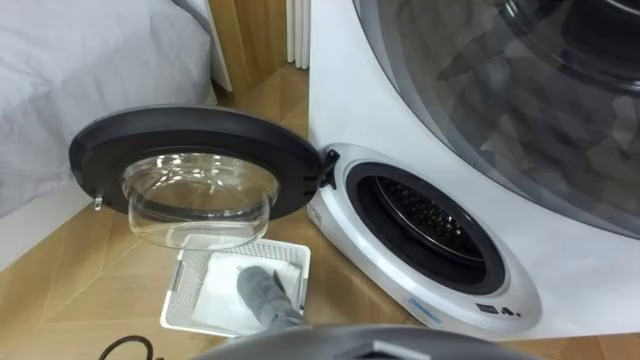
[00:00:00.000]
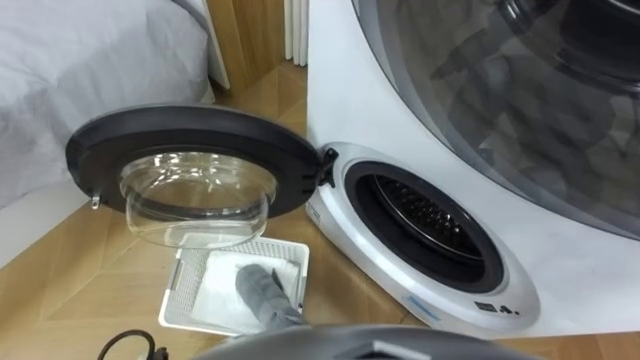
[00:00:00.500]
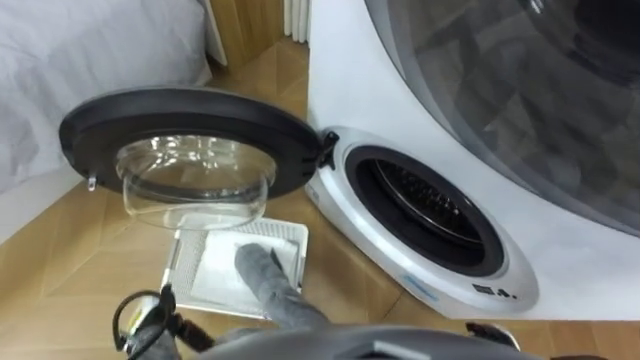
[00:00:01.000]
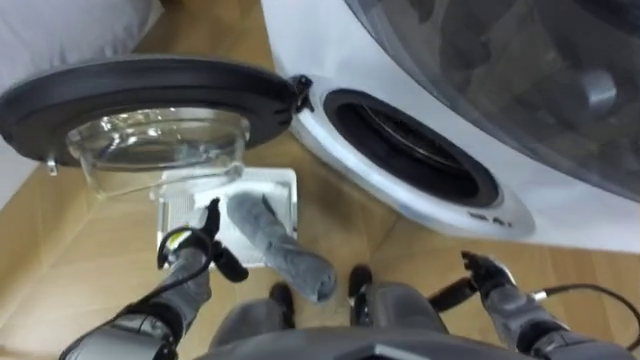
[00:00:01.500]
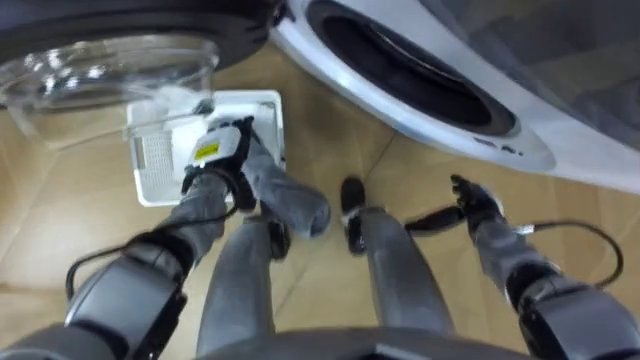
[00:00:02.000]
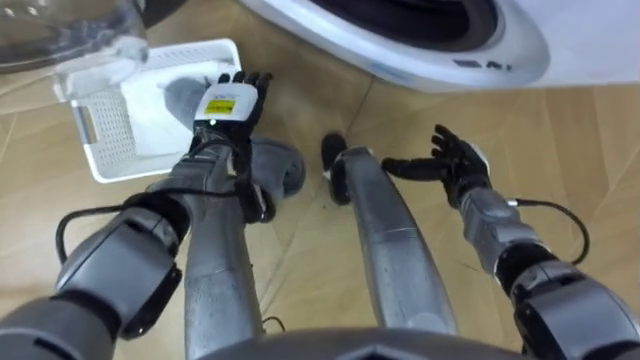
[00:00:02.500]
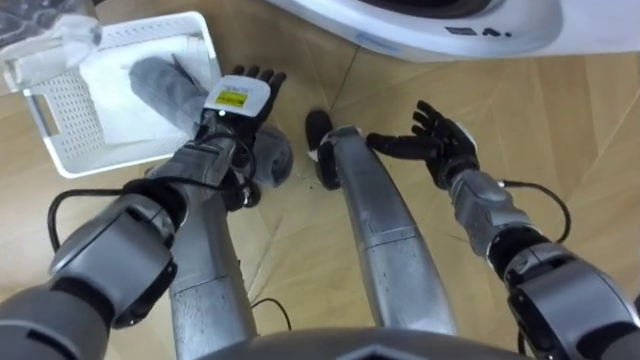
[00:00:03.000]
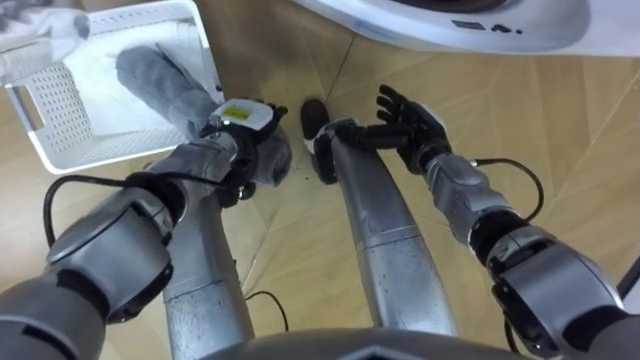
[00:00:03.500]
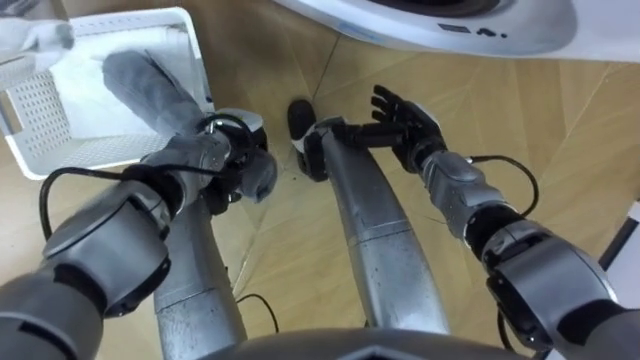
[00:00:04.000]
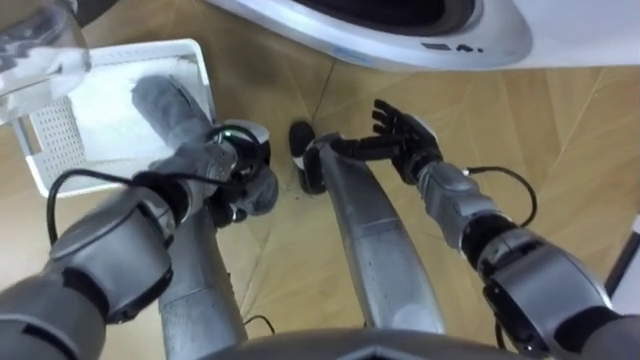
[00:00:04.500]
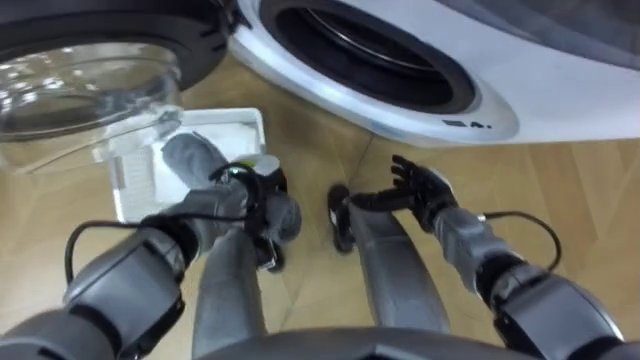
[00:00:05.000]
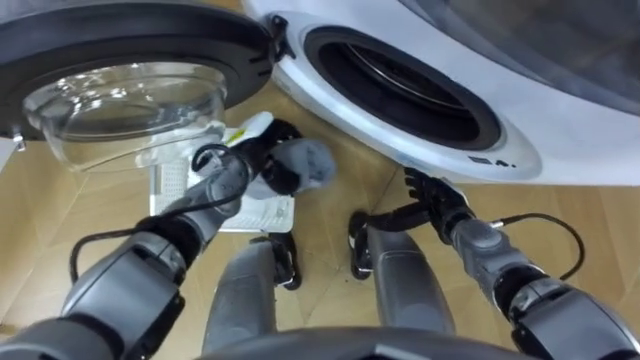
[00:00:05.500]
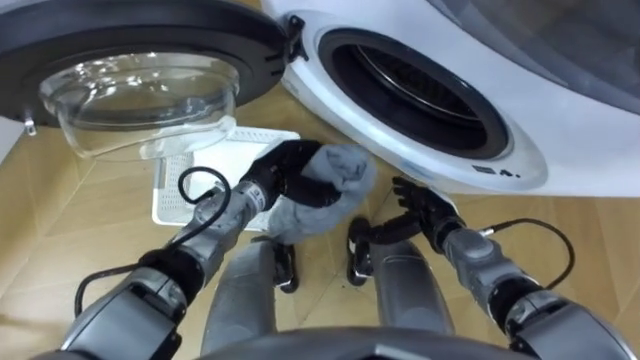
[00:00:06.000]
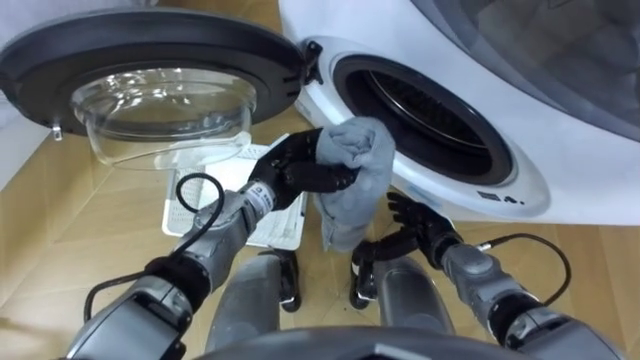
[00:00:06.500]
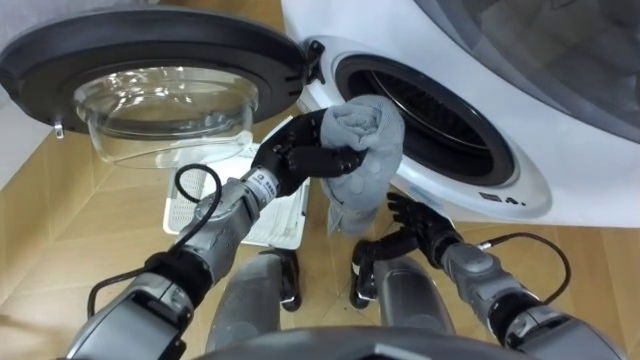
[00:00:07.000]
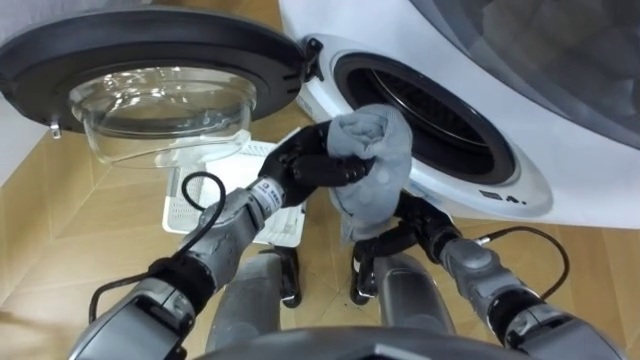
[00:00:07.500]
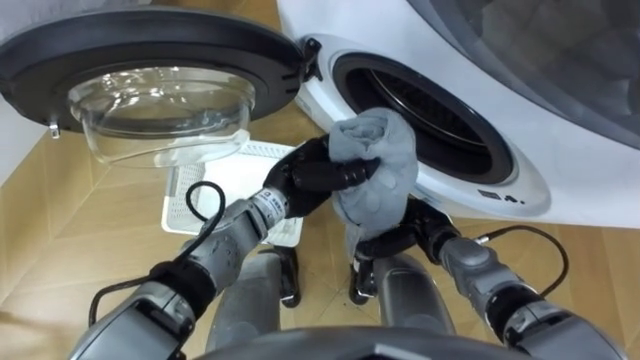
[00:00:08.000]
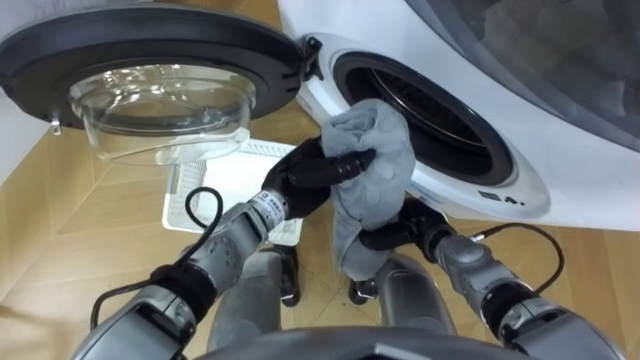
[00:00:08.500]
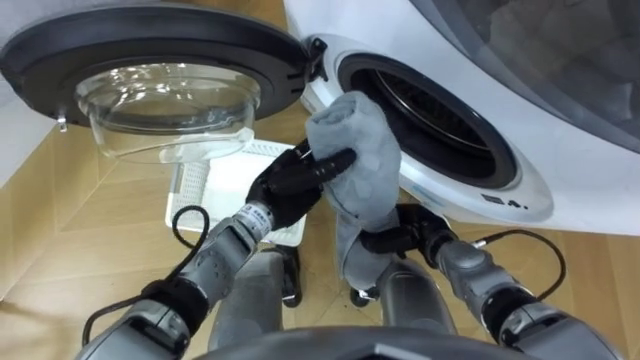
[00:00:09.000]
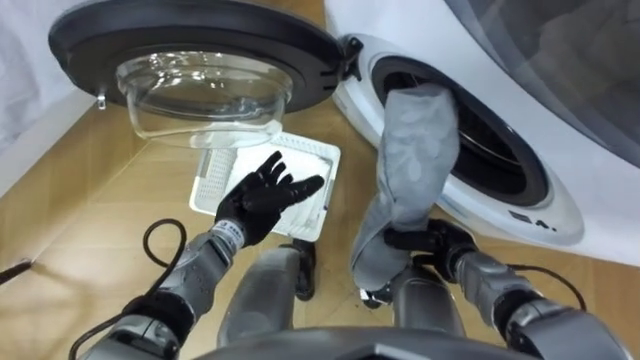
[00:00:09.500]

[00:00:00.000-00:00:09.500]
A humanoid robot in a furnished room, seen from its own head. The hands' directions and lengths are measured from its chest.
Task of the whole recording: Take the towel from the basket and put it into the washing machine.
00:00:02.000 to 00:00:04.000: The right hand is displaced to the left, forward and upward by about 15 cm. Meanwhile the left hand closes.
00:00:04.000 to 00:00:05.500: The right hand travels backward, downward and to the right by some 10 cm.
00:00:05.500 to 00:00:07.500: The left hand moves to the right, some 5 cm.
00:00:07.500 to 00:00:09.500: The right hand closes up. The left hand goes some 10 cm to the left and downward, and opens.

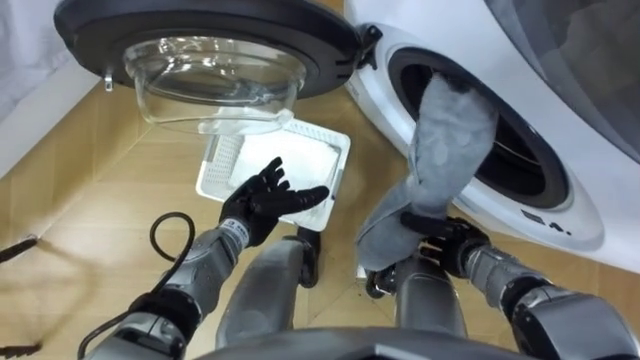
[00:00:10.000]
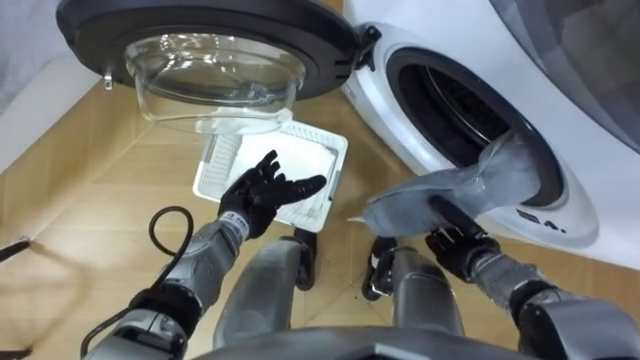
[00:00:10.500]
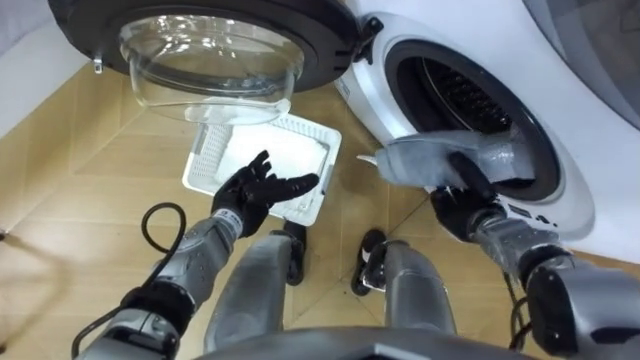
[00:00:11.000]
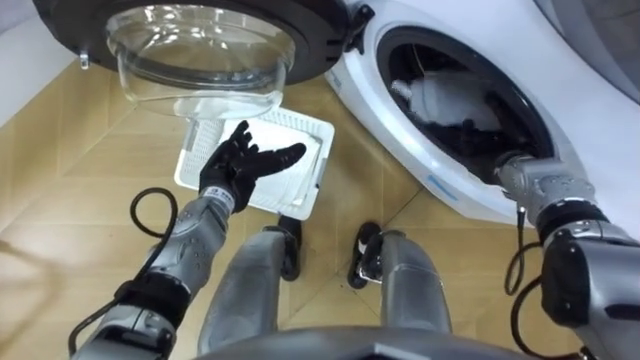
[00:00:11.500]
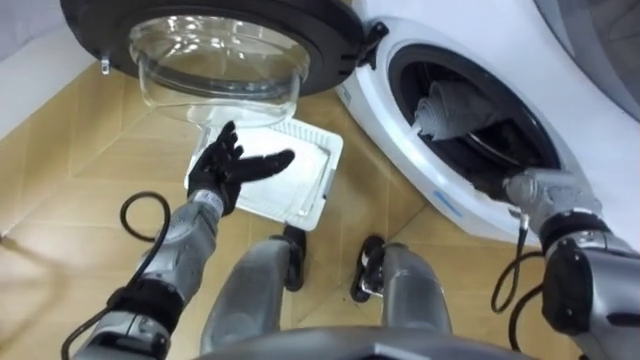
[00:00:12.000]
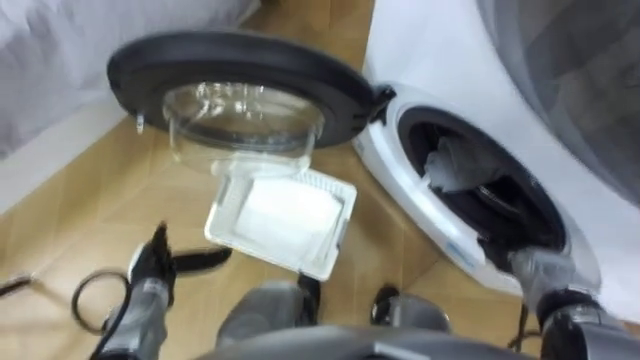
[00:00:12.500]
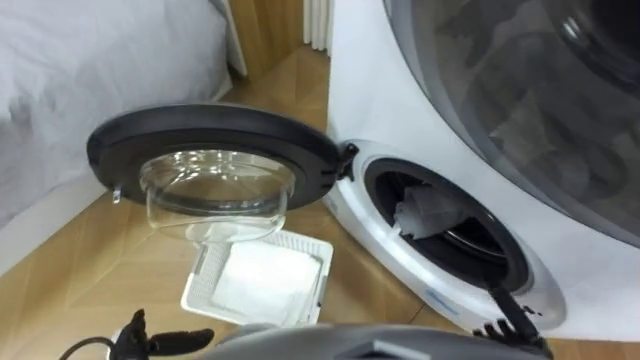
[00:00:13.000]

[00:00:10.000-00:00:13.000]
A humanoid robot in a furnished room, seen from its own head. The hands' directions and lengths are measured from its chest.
Task of the whole recording: Take the towel from the basket and put it into the washing machine.
00:00:10.000 to 00:00:11.500: The left hand ends up about 5 cm from where it was, while the right hand travels forward, upward and to the right by approximately 15 cm.
00:00:11.500 to 00:00:13.000: The left hand shifts about 30 cm backward, to the left and downward. The right hand is displaced backward and downward by roughly 30 cm, and opens its fingers.

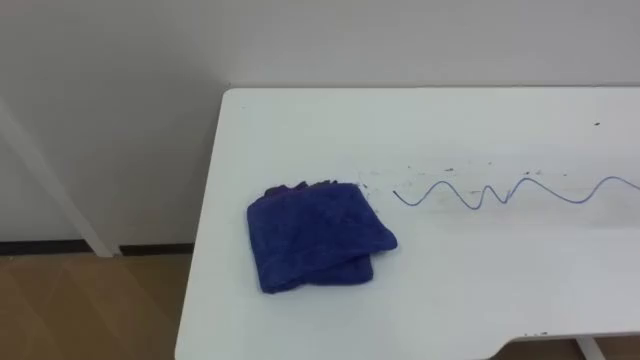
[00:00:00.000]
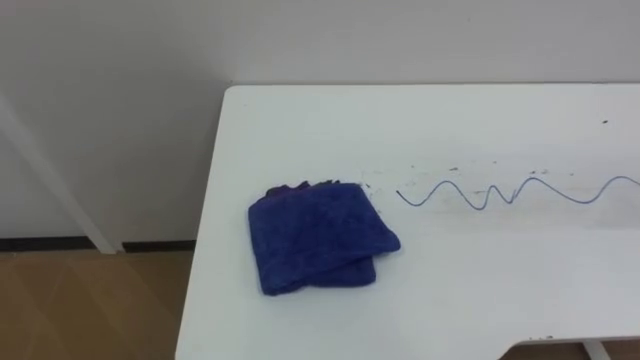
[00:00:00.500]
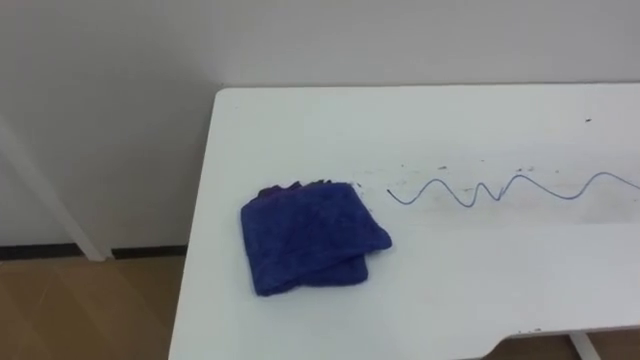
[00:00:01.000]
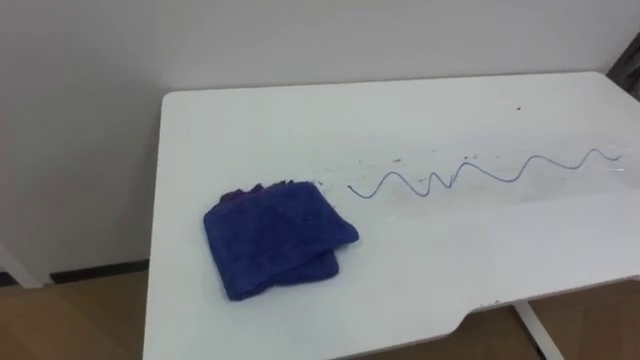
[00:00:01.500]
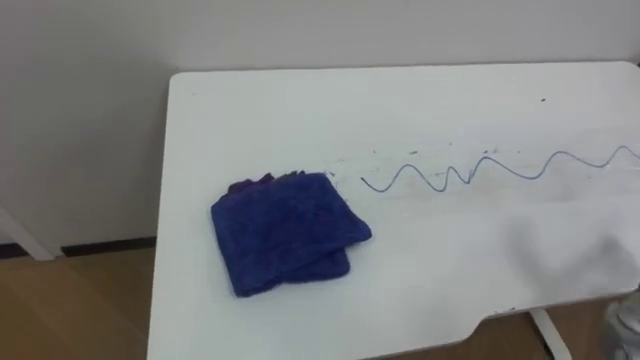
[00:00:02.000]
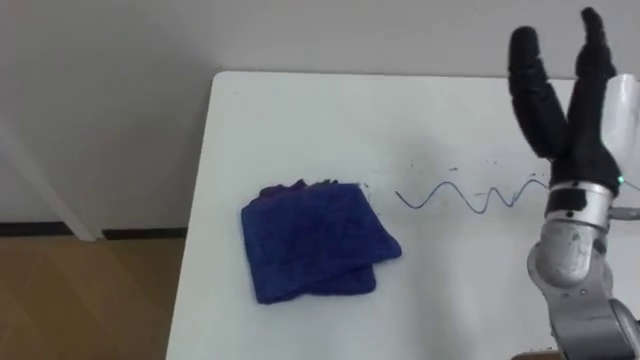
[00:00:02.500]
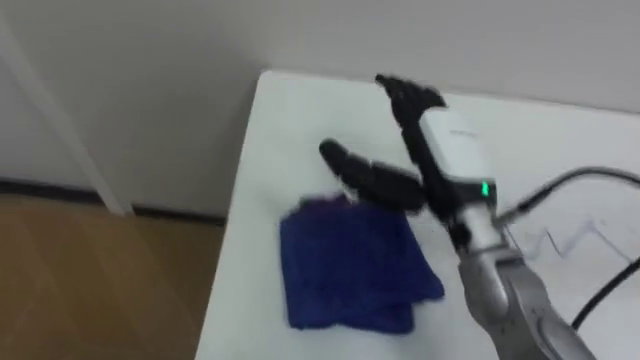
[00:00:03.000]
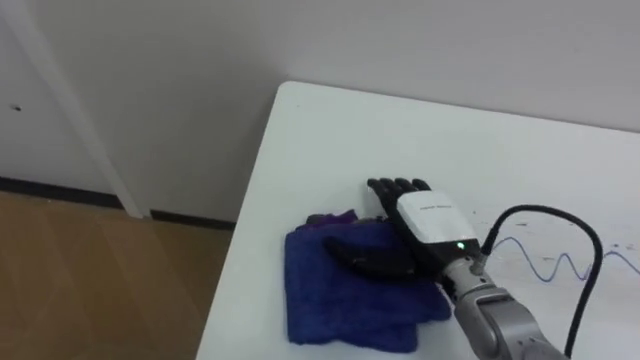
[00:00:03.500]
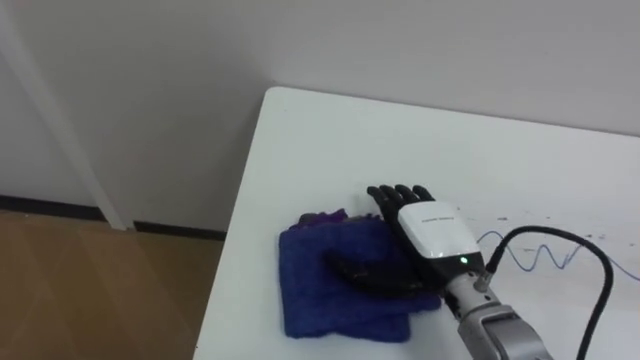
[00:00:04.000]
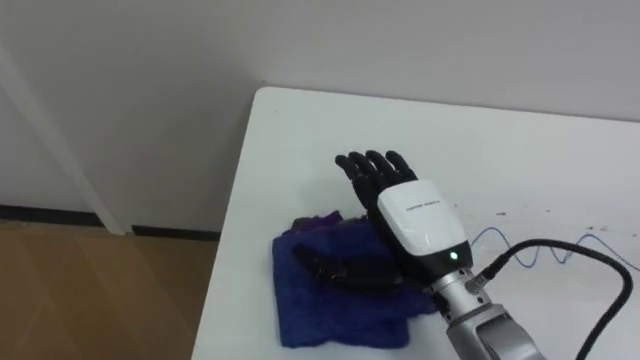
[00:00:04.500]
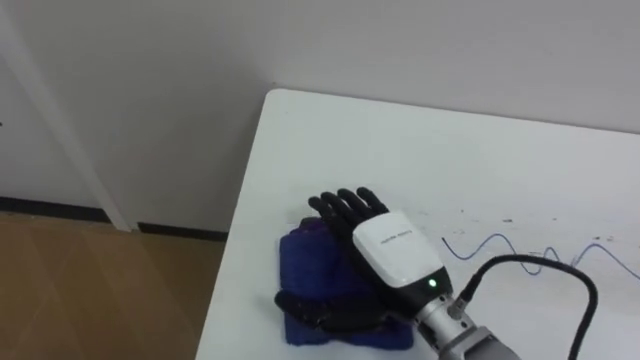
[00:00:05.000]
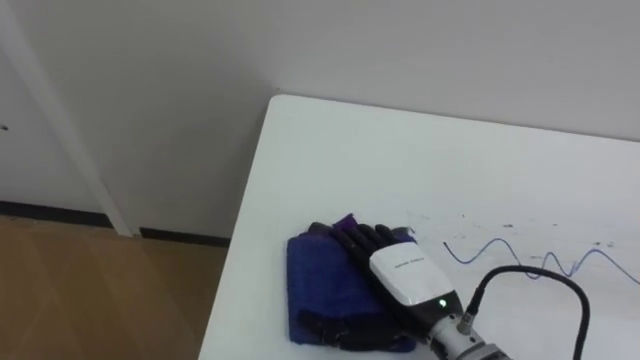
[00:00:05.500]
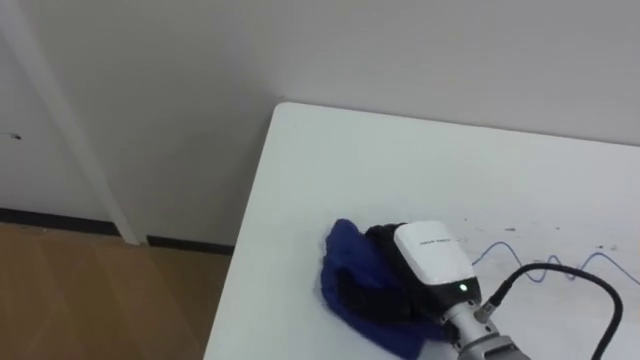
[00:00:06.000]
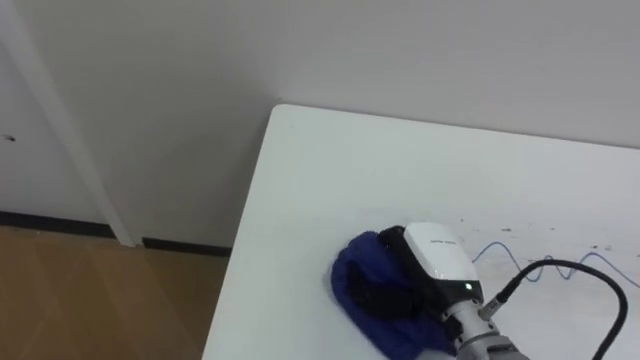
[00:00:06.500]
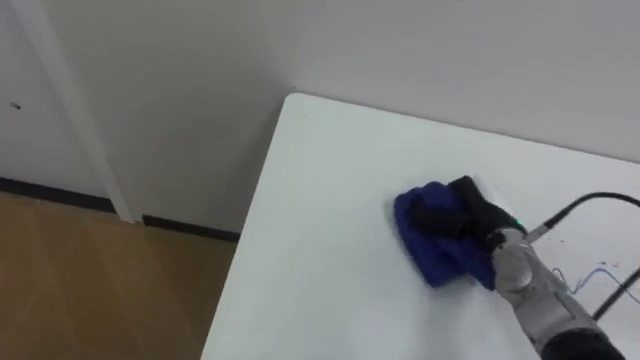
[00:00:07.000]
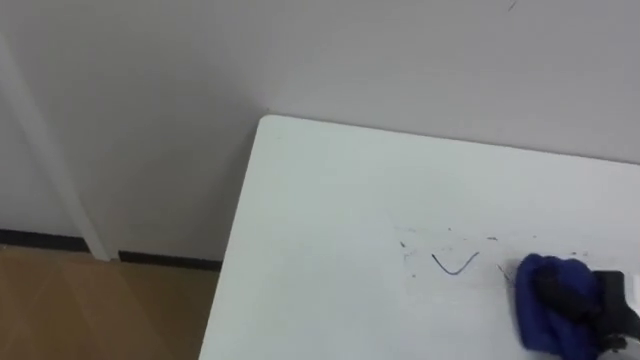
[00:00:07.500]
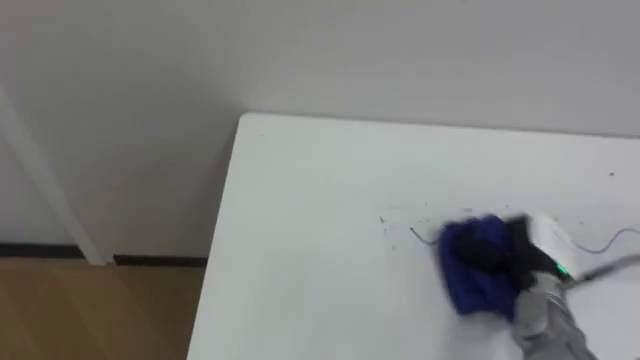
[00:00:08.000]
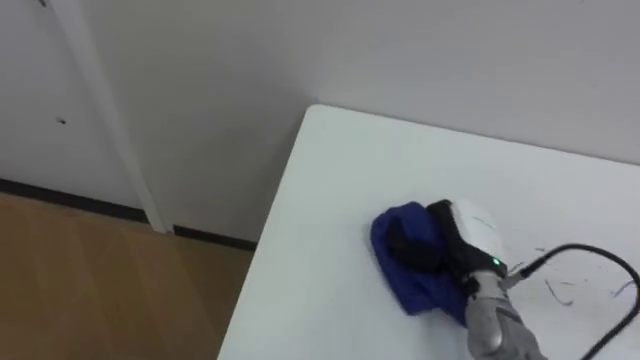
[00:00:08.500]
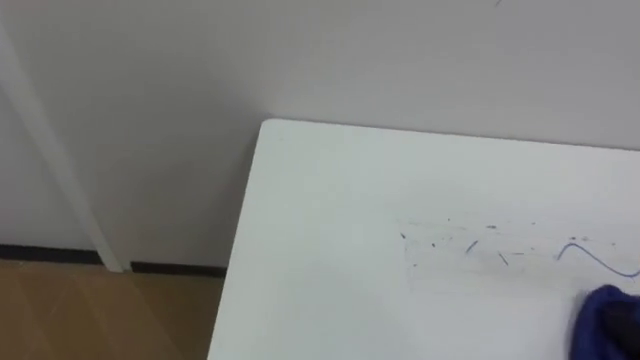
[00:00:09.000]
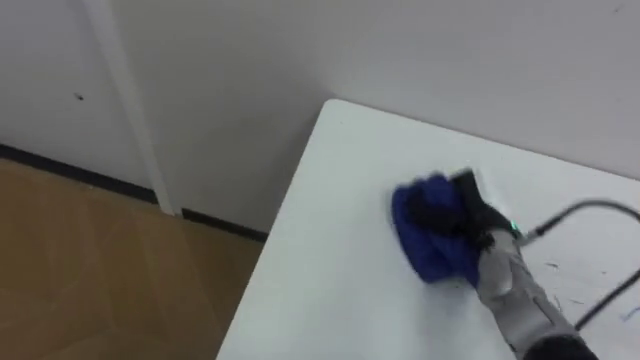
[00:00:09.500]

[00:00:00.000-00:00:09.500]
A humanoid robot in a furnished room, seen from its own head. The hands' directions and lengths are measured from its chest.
Task of the whole recording: Wipe the blue pen marks off the table with the rag.
00:00:04.000 to 00:00:05.500: The right hand changes place by about 5 cm.
00:00:05.500 to 00:00:07.500: The right hand heads to the right, covering approximately 25 cm, and closes its fingers.
